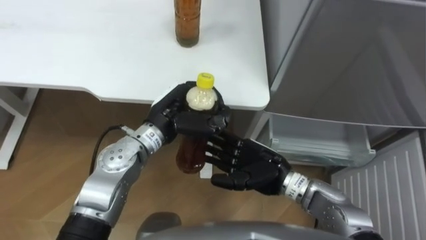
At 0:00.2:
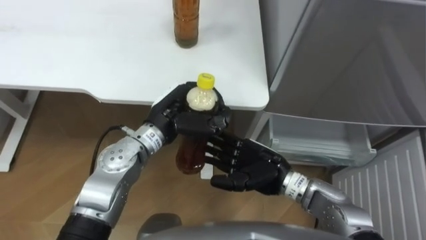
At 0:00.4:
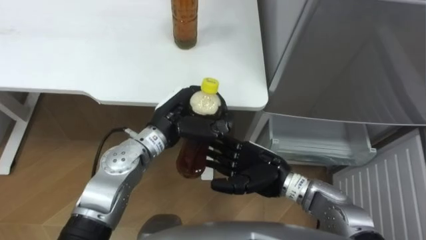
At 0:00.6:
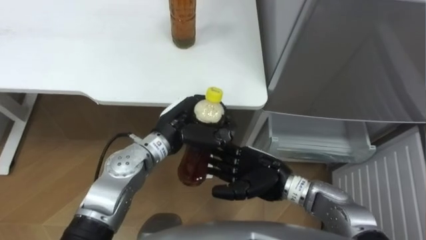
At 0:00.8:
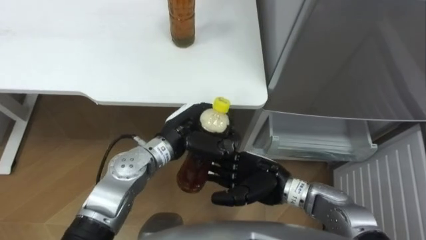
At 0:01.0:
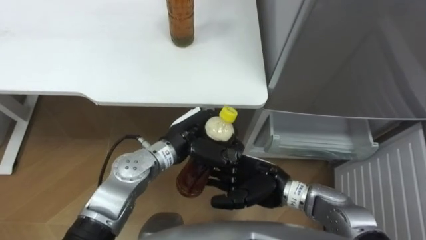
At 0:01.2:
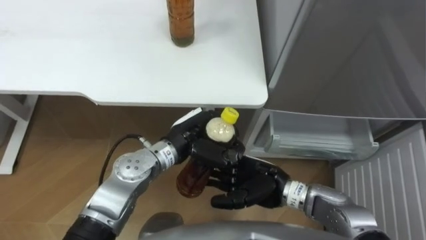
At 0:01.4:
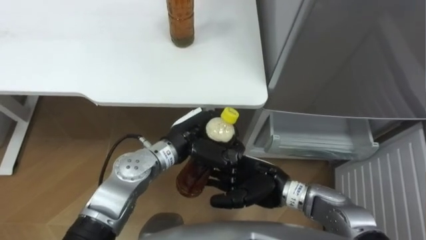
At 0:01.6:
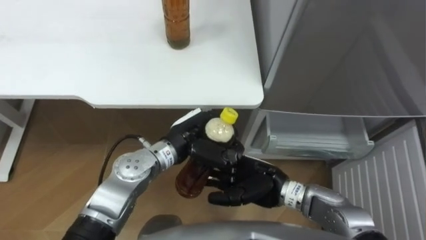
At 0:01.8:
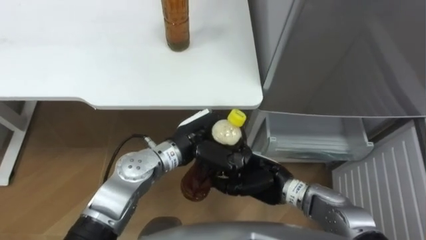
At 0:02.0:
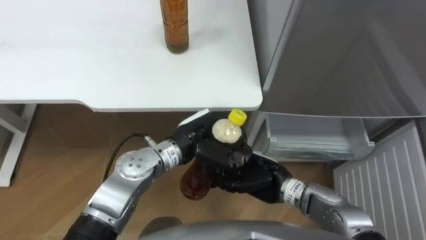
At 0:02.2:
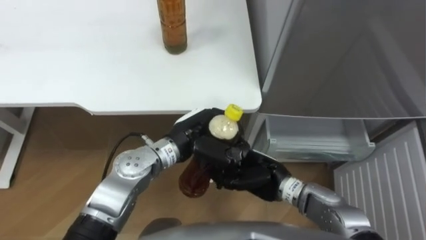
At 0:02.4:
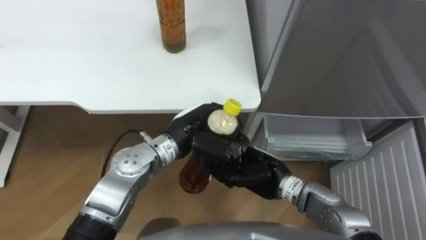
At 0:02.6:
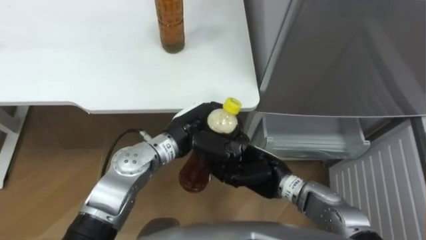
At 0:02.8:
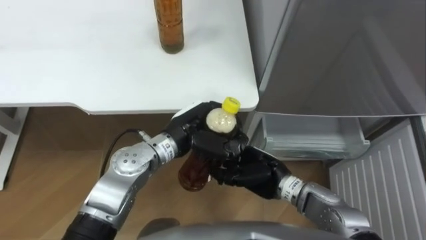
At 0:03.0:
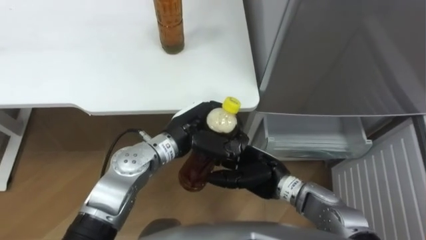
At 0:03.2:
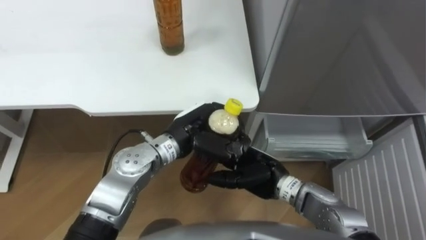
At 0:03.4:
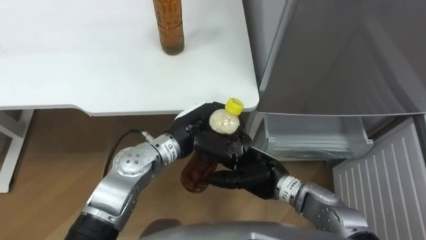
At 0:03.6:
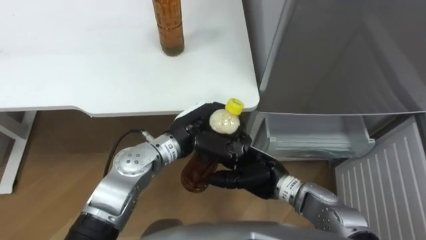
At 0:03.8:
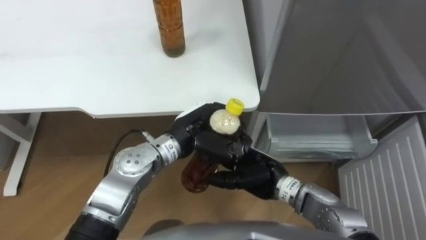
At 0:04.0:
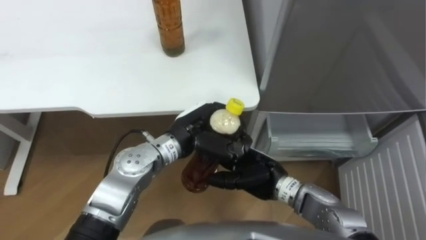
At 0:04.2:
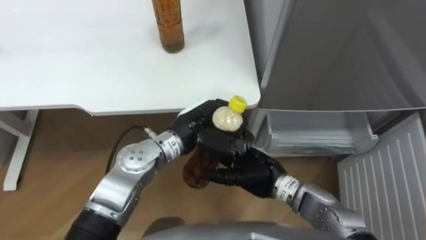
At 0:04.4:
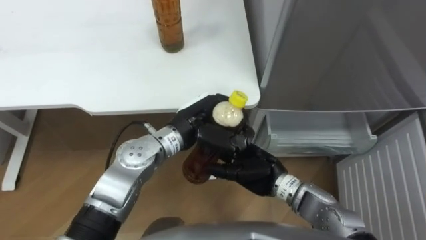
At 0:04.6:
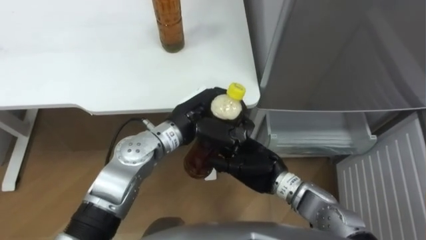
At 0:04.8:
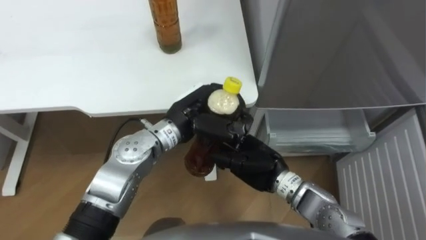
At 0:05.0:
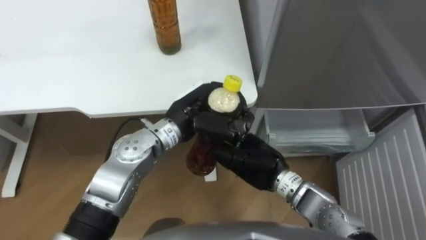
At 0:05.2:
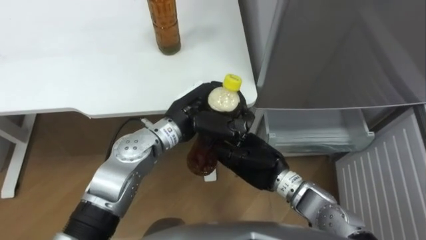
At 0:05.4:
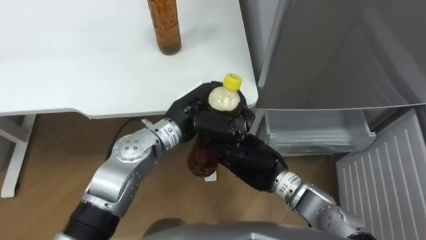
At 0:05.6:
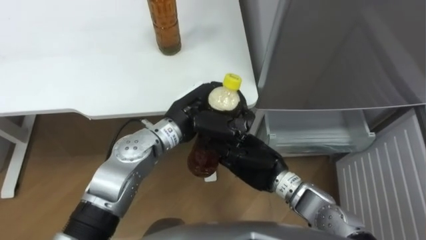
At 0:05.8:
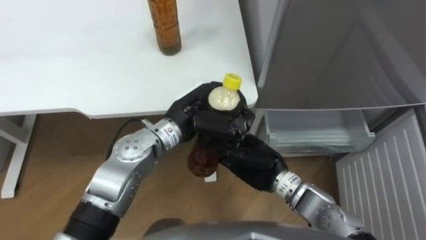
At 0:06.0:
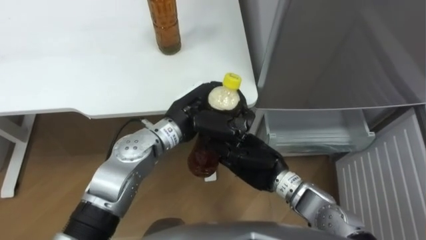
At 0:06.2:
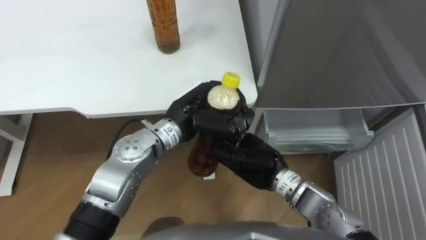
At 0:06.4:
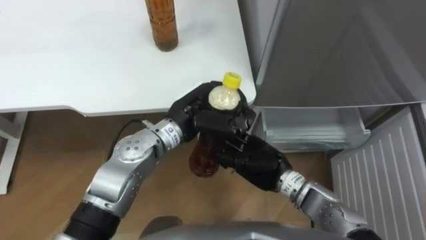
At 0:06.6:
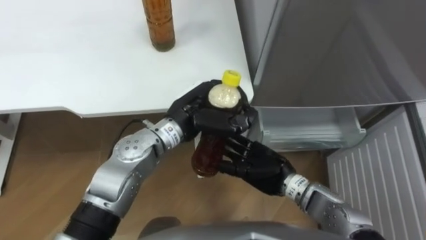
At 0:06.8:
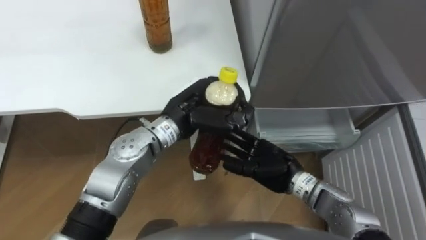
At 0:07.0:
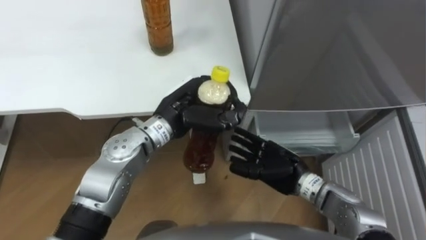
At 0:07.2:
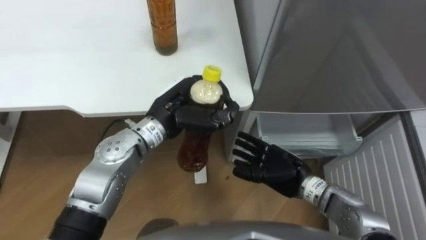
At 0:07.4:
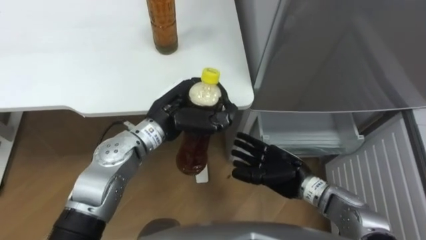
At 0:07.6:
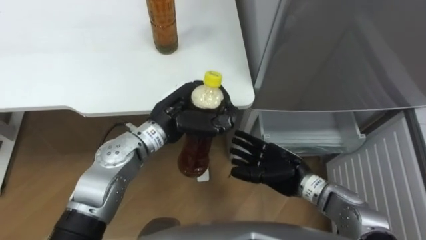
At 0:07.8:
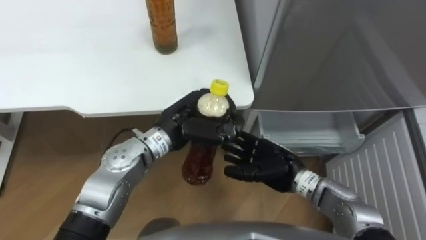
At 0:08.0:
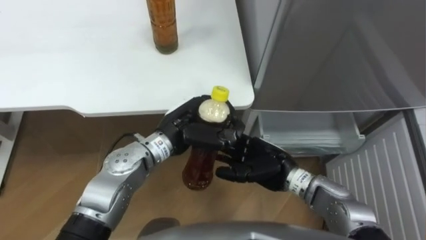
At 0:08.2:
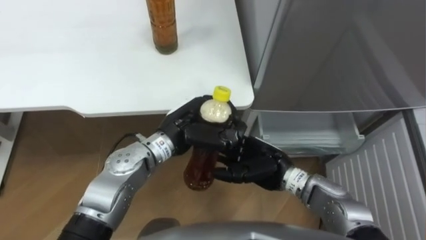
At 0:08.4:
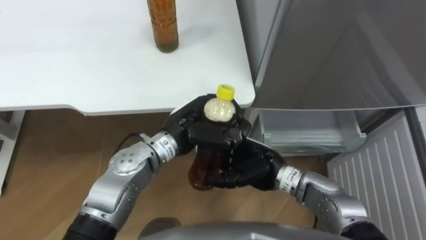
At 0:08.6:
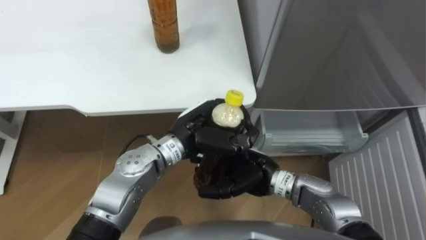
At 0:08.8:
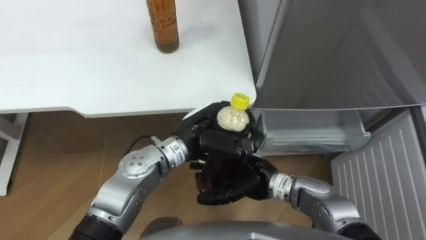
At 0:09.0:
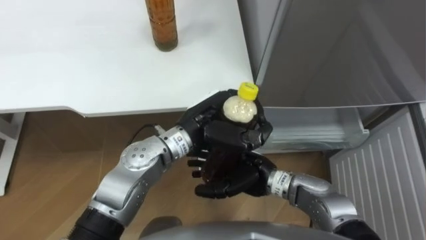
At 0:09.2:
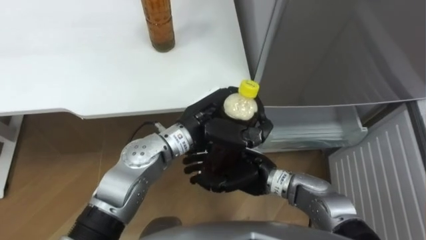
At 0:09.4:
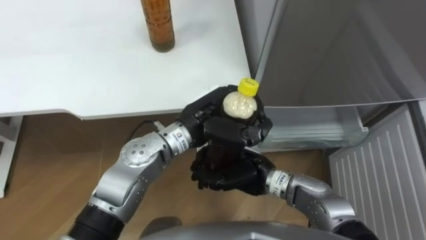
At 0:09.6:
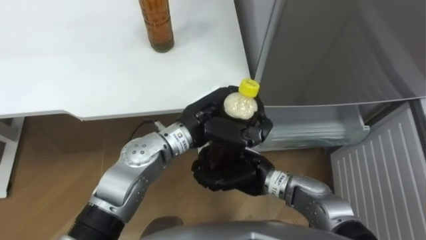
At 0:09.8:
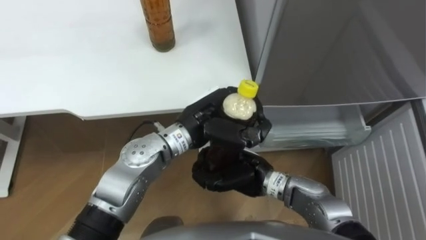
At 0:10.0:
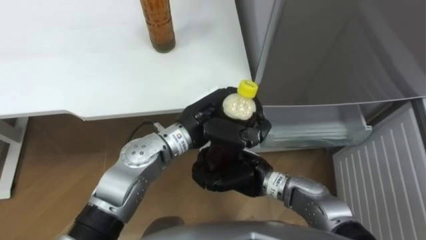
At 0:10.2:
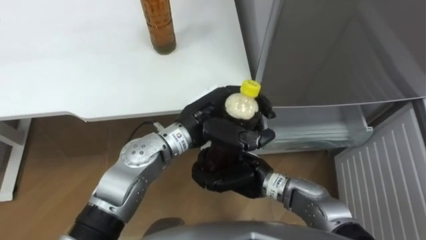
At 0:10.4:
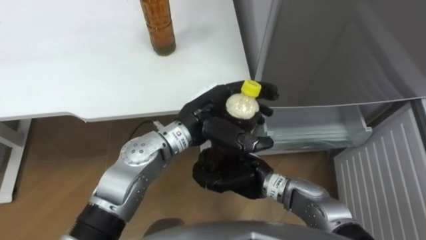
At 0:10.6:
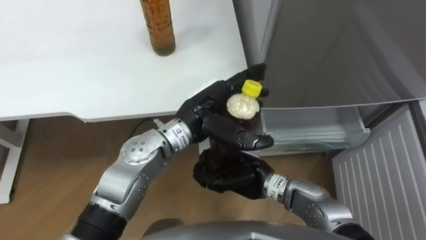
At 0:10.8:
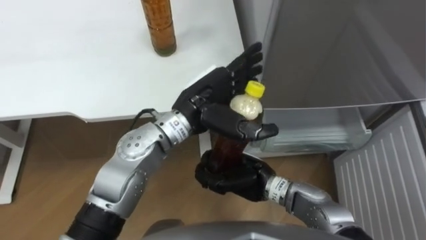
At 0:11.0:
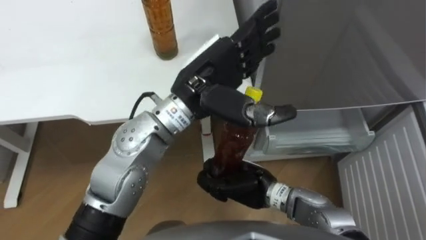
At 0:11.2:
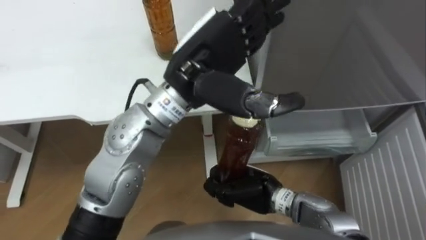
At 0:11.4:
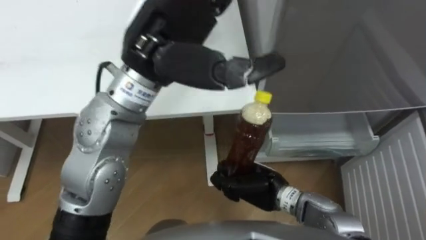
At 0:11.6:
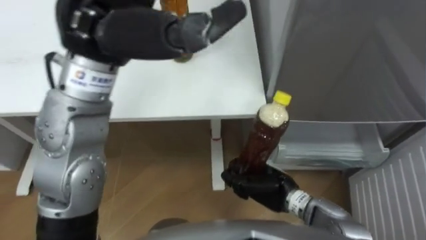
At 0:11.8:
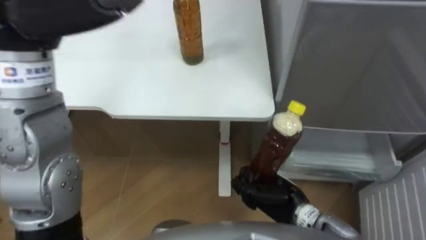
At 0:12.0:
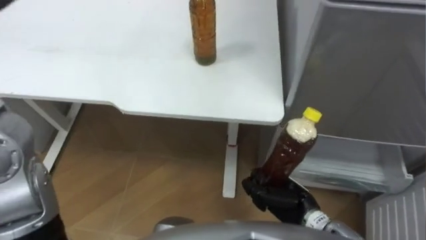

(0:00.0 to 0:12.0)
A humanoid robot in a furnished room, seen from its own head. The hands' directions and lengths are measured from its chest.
Task of the whole recording: Place the drink on the table on the bottom shelf of the refrigerator, then close the drawer and the refrigerator door.
0:00.0 - 0:01.6: The left hand shifts by roughly 5 cm.
0:01.6 - 0:03.0: The right hand closes, then opens again.
0:03.0 - 0:04.4: The hands move only a little.
0:04.4 - 0:06.0: The right hand closes its fingers.
0:06.0 - 0:07.6: The right hand goes some 5 cm to the right, and opens up.
0:07.6 - 0:09.0: The left hand goes some 5 cm to the right, while the right hand moves to the left, some 10 cm.
0:09.0 - 0:10.4: The left hand opens. The right hand closes.
0:10.4 - 0:12.0: The right hand goes roughly 10 cm to the right and downward.

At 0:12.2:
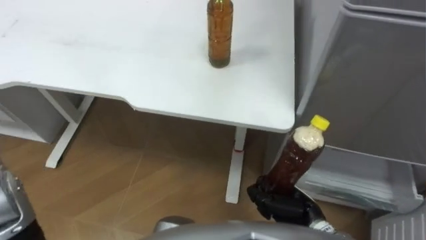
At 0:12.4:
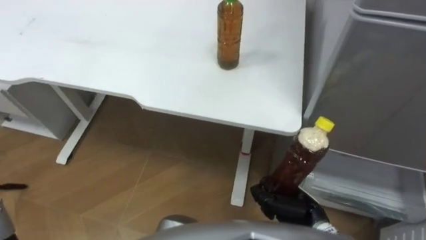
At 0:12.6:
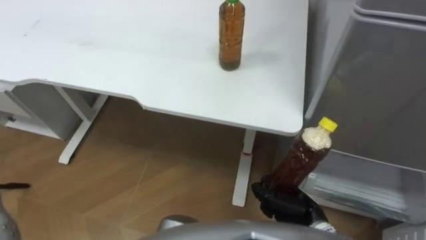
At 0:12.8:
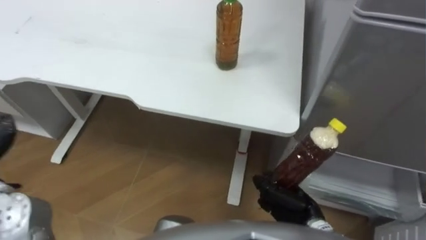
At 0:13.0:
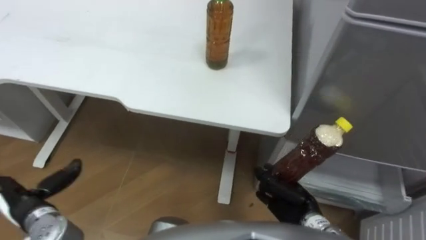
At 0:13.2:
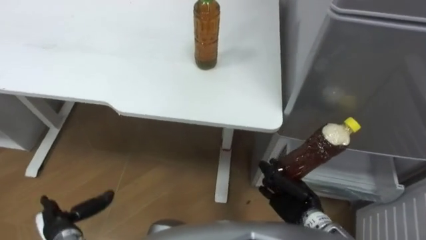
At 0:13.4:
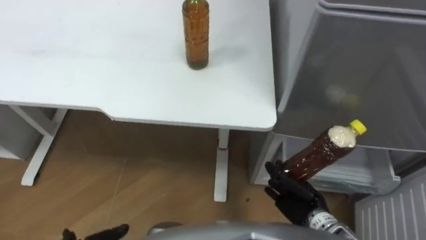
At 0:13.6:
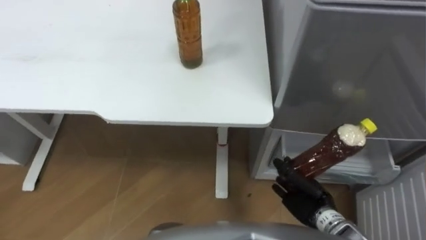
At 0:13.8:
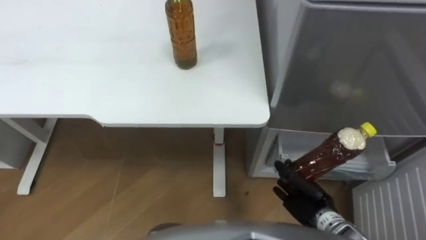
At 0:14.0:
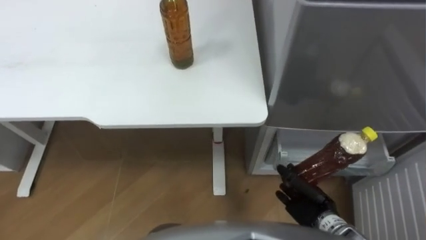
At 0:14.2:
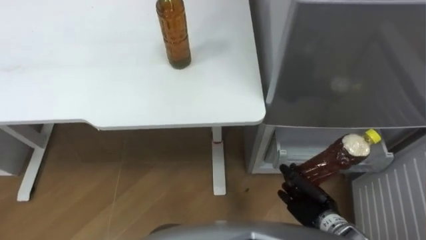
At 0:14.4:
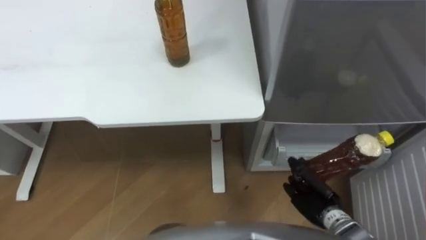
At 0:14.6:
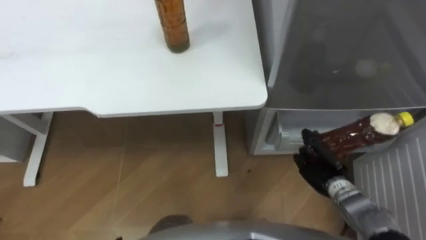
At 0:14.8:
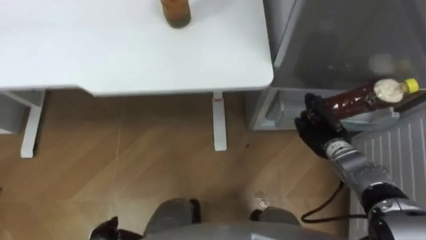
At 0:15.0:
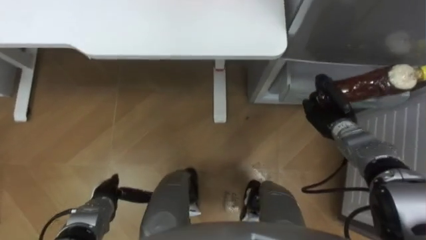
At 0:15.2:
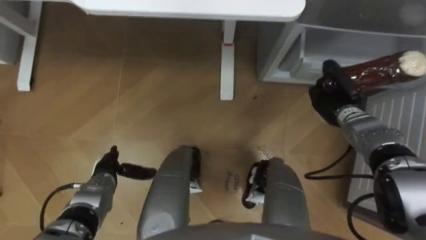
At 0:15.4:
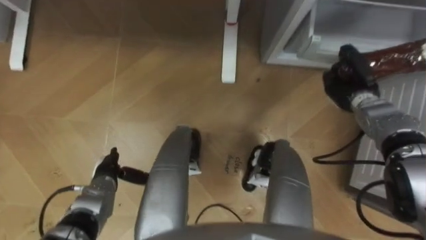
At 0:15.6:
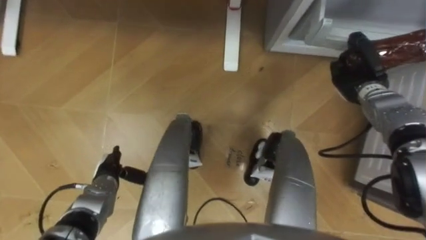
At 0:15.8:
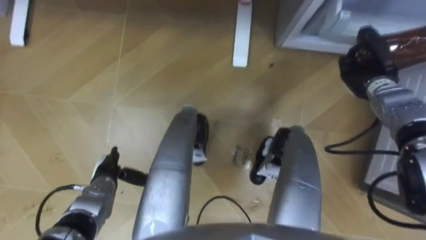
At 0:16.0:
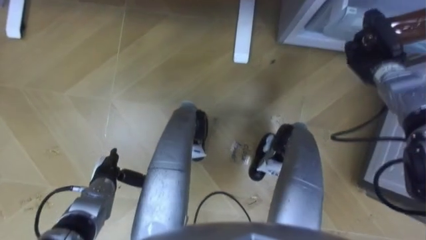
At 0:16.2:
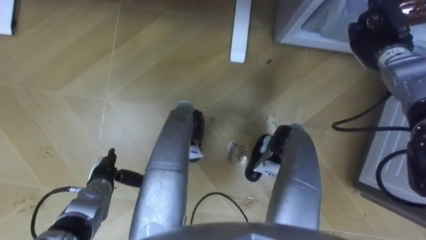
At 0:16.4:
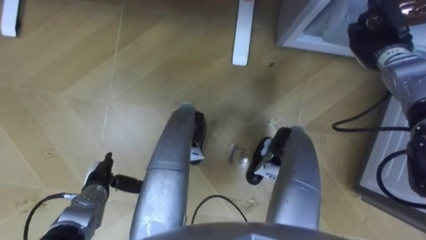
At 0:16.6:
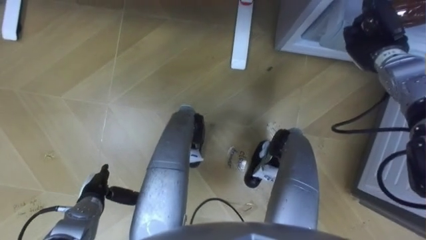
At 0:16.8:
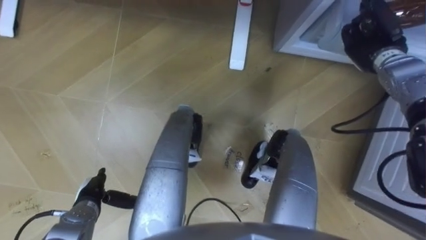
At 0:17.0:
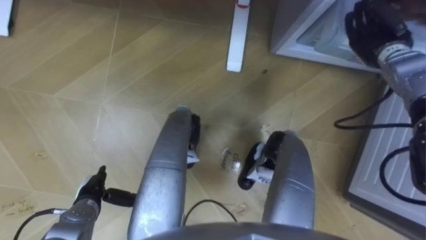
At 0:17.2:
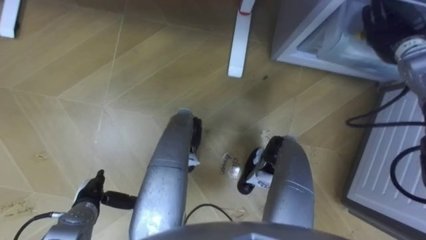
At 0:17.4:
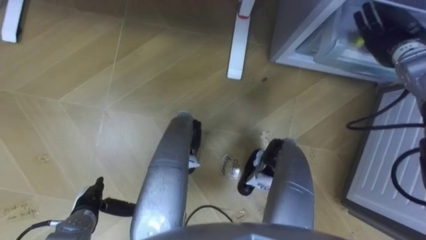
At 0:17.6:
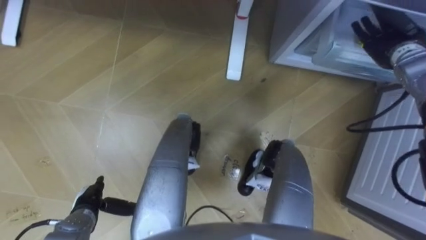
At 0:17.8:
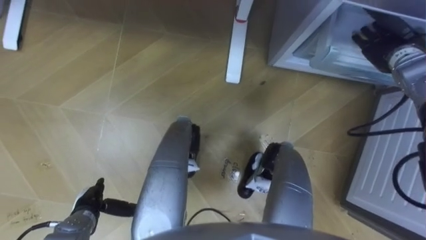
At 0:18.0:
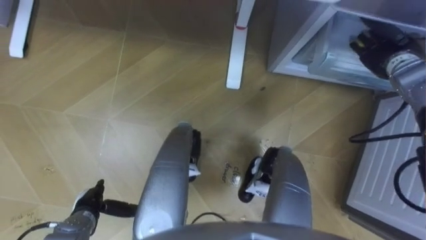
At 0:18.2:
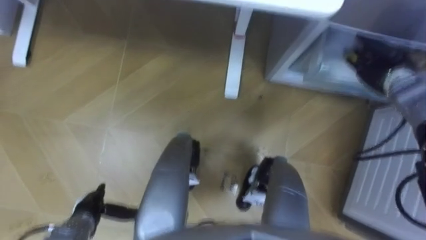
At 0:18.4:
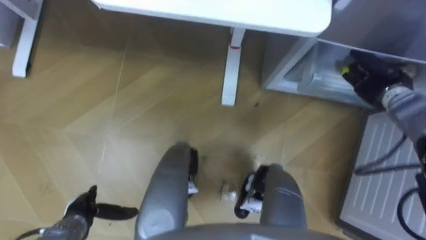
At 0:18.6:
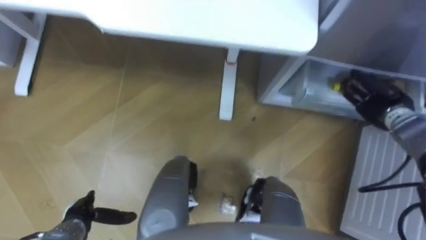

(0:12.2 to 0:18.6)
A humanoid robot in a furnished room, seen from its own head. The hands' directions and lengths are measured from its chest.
Task of the whole recording: Place the drink on the table on the bottom shelf of the refrigerator, then close the drawer and the refrigerator door.
0:13.8 - 0:15.4: The right hand heads forward, upward and to the right, covering some 25 cm.
0:15.4 - 0:17.0: The right hand travels upward and forward by roughly 10 cm. Meanwhile the left hand travels backward by roughly 5 cm.
0:17.0 - 0:18.6: The left hand ends up approximately 5 cm from where it was; the right hand moves backward and downward, about 15 cm, and opens.
